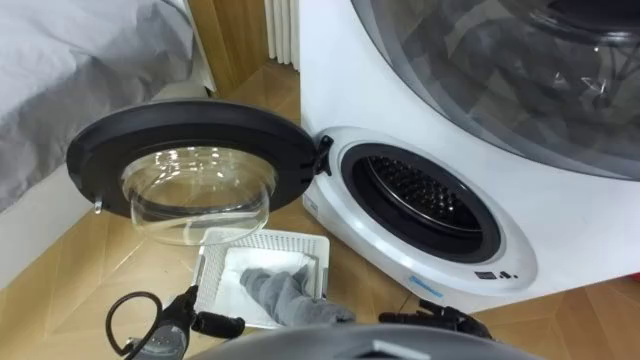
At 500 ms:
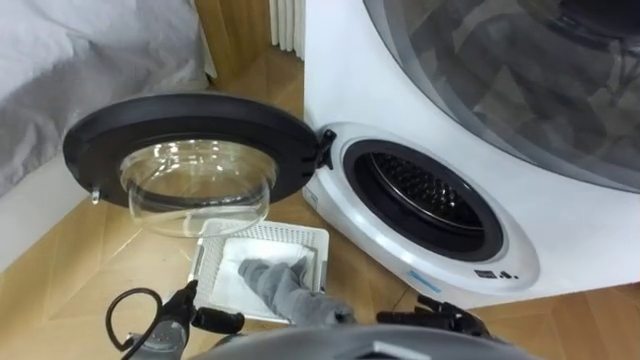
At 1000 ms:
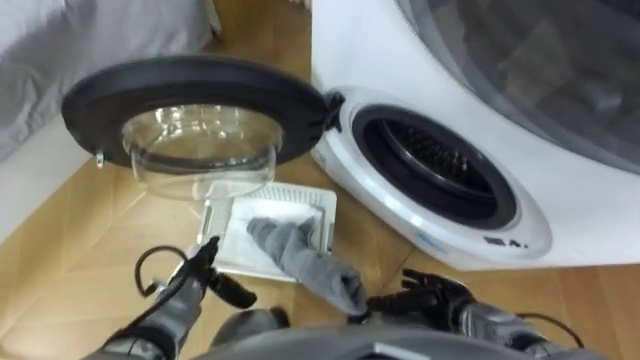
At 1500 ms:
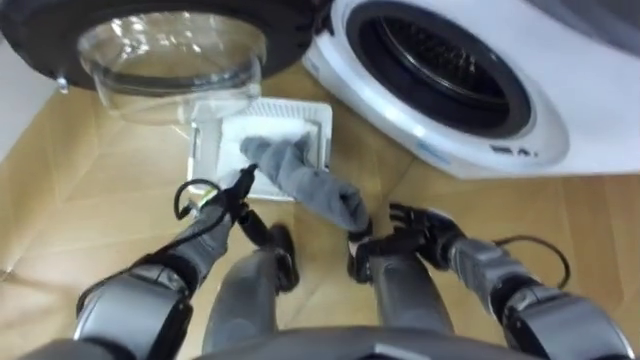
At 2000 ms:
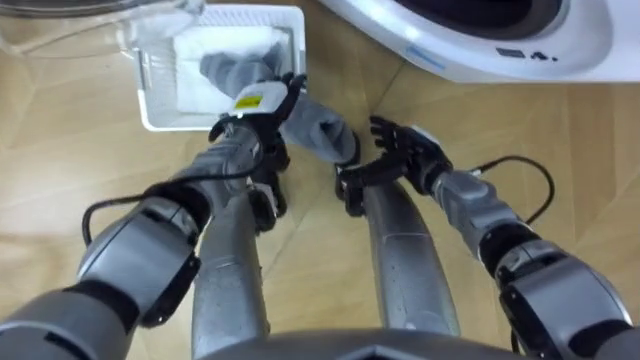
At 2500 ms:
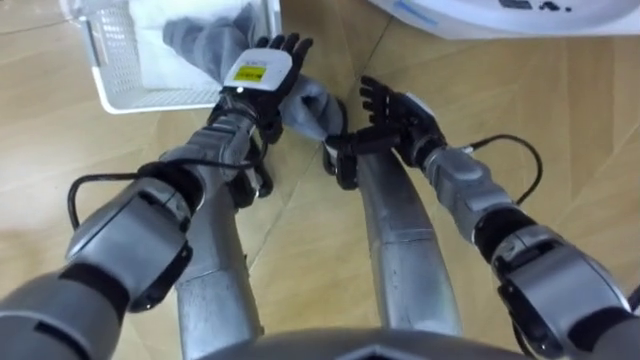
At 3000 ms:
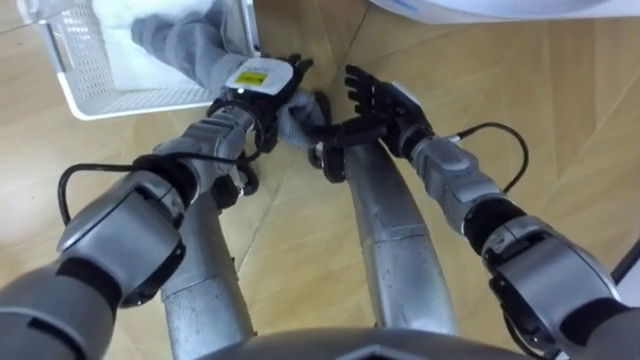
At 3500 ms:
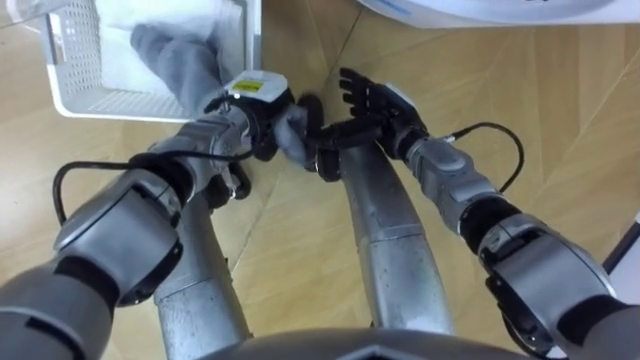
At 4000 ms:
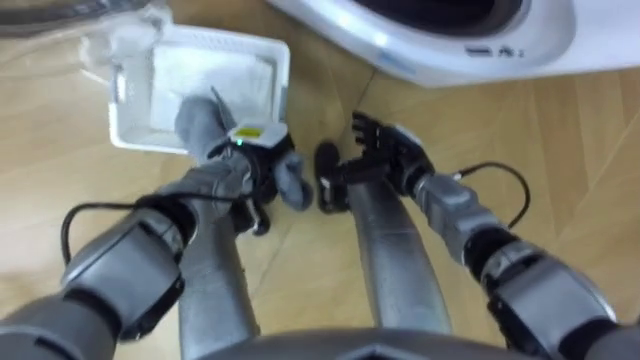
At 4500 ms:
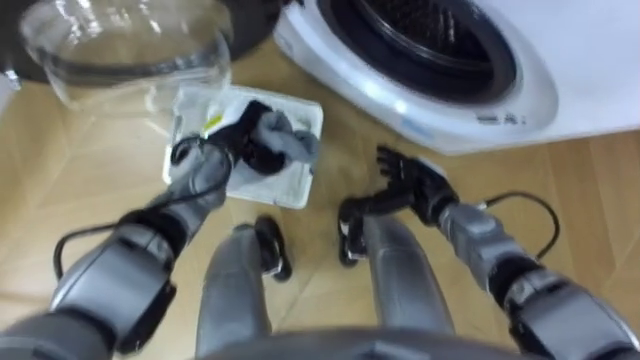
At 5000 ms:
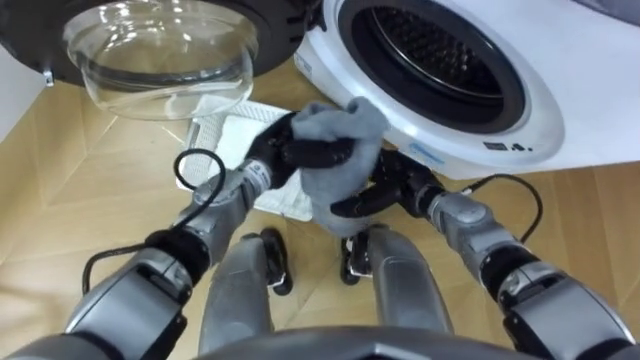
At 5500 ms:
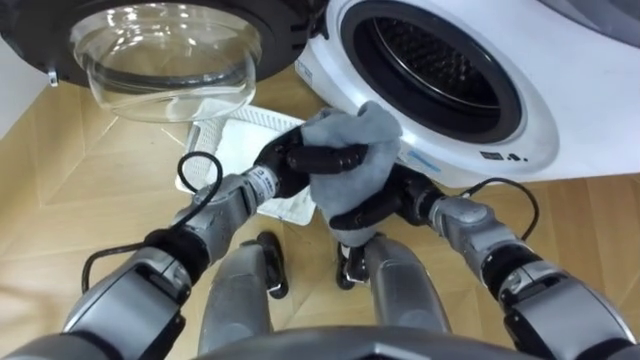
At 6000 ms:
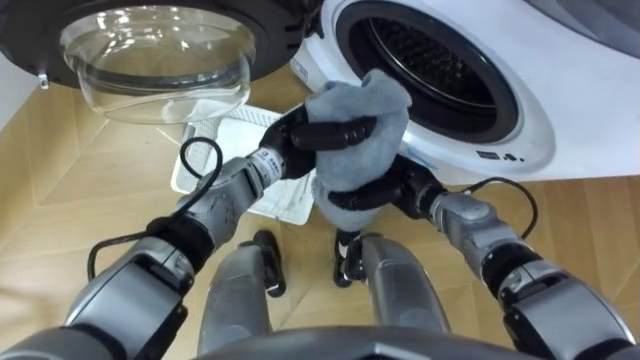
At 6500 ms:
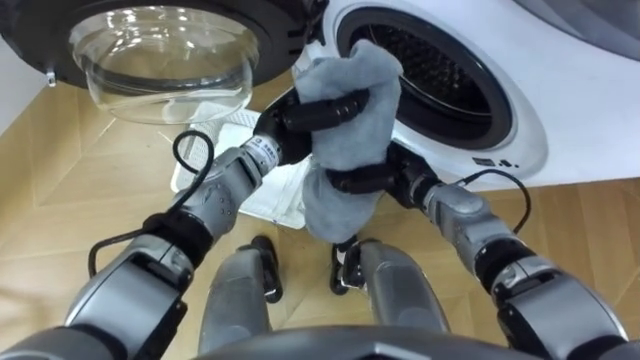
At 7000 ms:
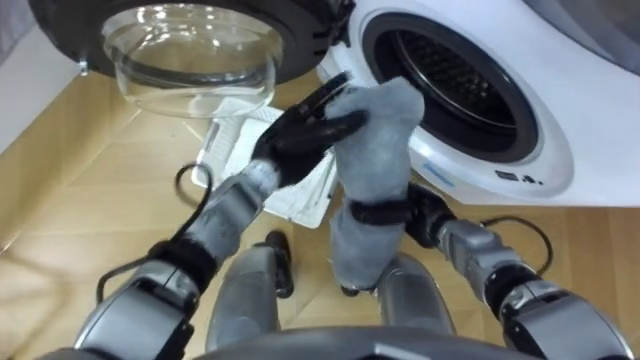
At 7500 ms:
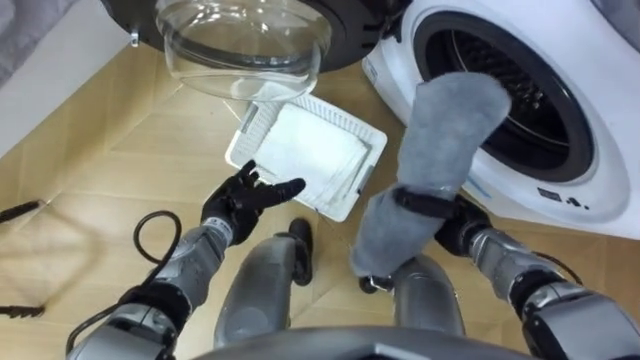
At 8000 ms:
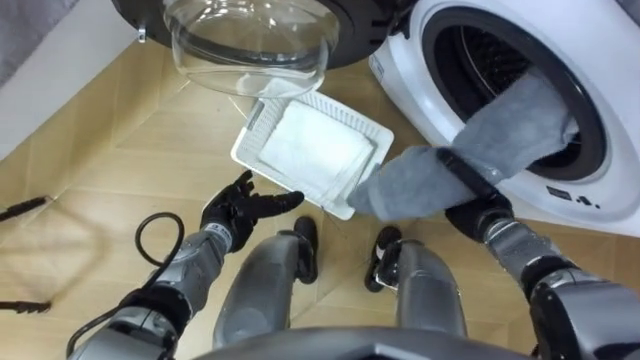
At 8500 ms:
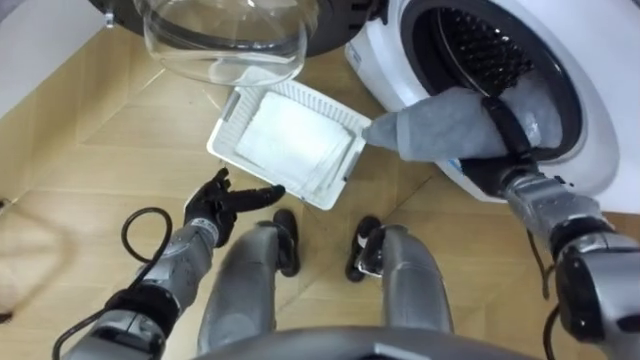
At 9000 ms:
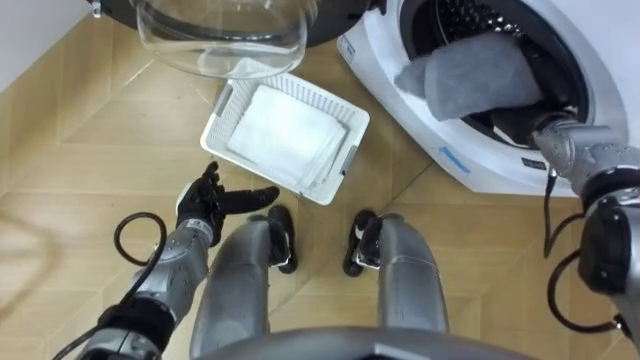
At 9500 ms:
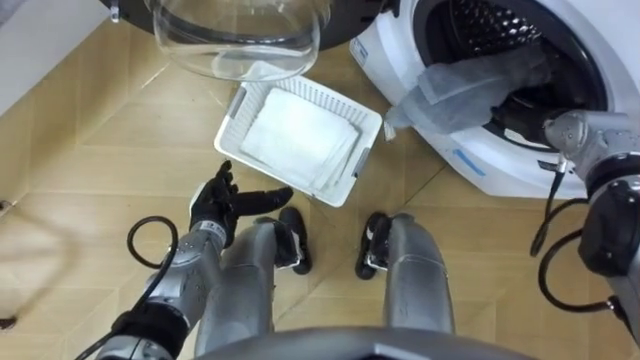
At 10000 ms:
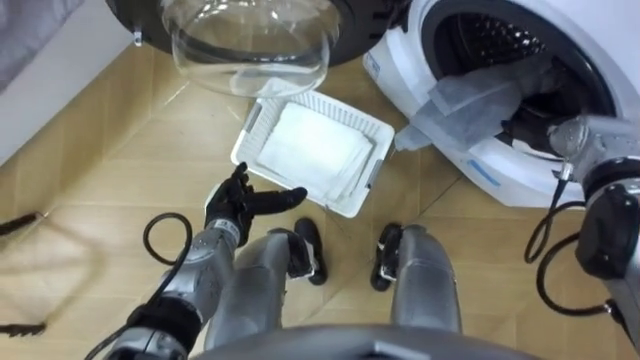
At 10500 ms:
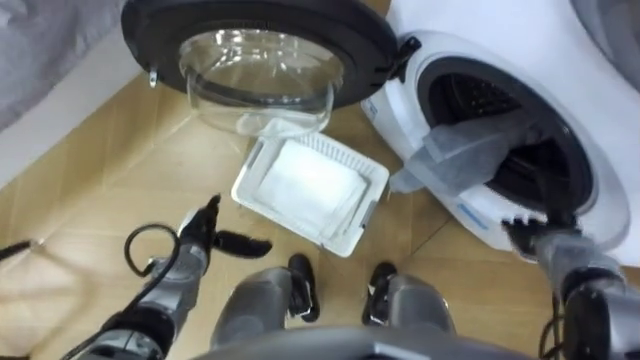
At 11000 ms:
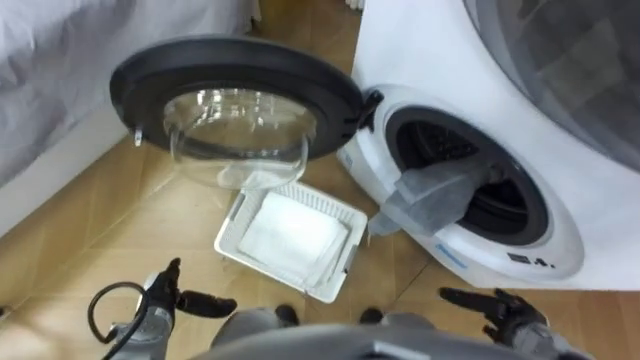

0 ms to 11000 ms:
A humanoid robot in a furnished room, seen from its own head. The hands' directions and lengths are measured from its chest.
Task of the whole recording: Take the towel from the basket and put it into the washing machine.
2000 ms to 3500 ms: The left hand closes its fingers; the right hand changes place by approximately 10 cm.
3500 ms to 5500 ms: The left hand moves backward and to the right, some 10 cm; the right hand heads backward and downward, covering about 10 cm.
5500 ms to 7500 ms: The left hand is displaced to the left and downward by approximately 15 cm, and opens up; the right hand travels to the right by about 10 cm, and closes up.
7500 ms to 9000 ms: The right hand is displaced forward, upward and to the right by about 20 cm, and opens up.
9000 ms to 11000 ms: The right hand heads backward and downward, covering approximately 30 cm. The left hand moves backward, downward and to the left, roughly 15 cm.

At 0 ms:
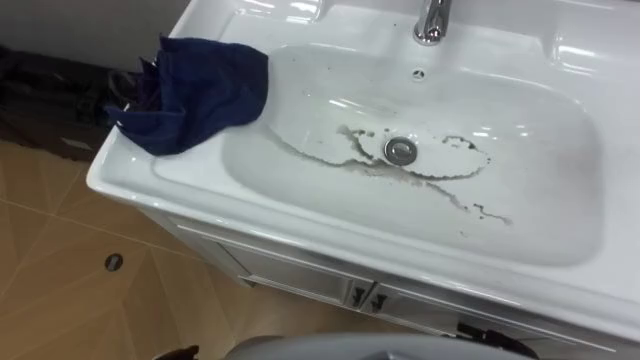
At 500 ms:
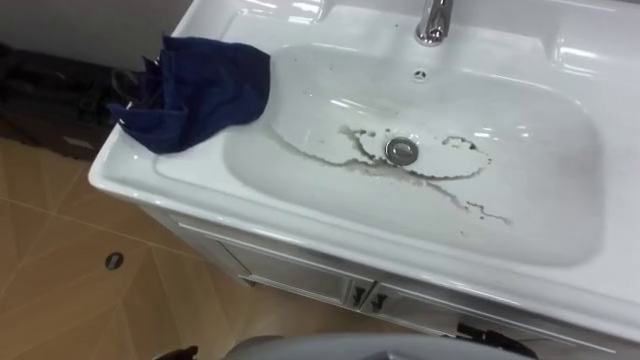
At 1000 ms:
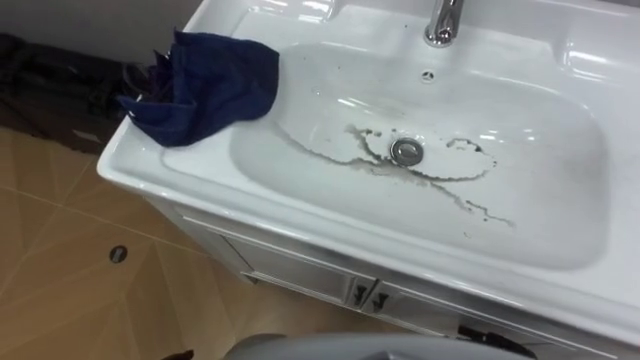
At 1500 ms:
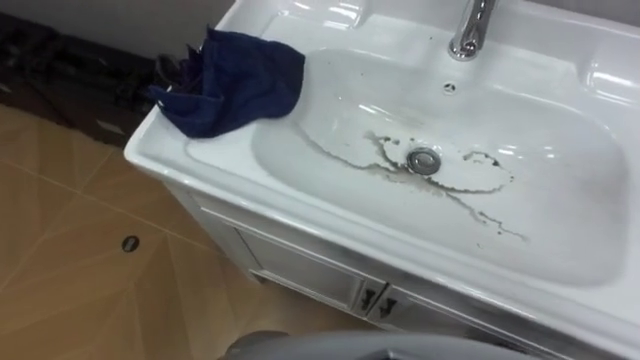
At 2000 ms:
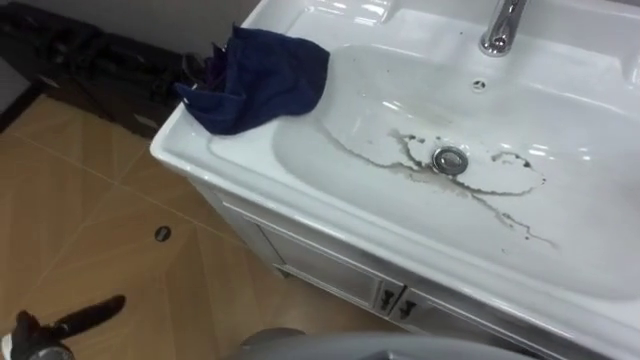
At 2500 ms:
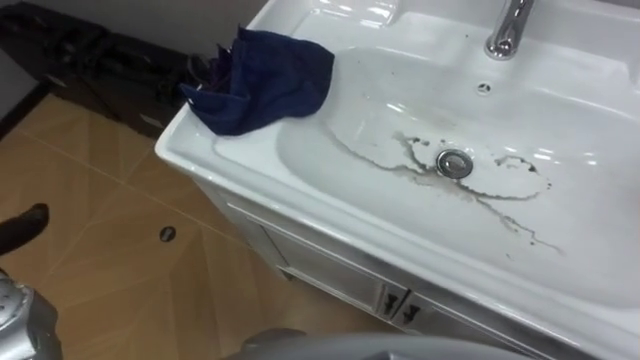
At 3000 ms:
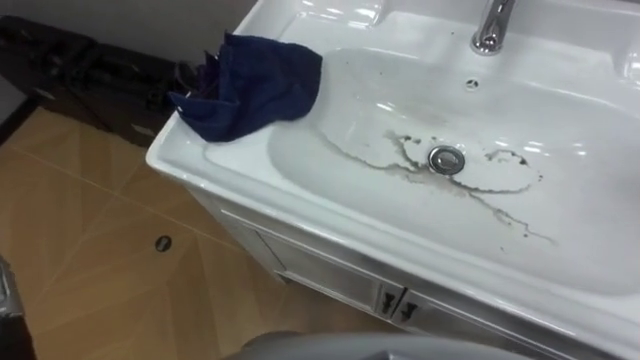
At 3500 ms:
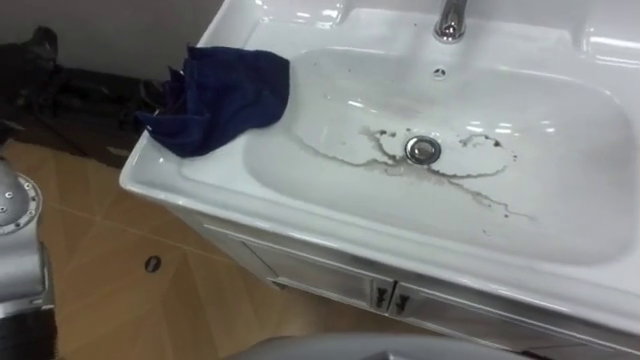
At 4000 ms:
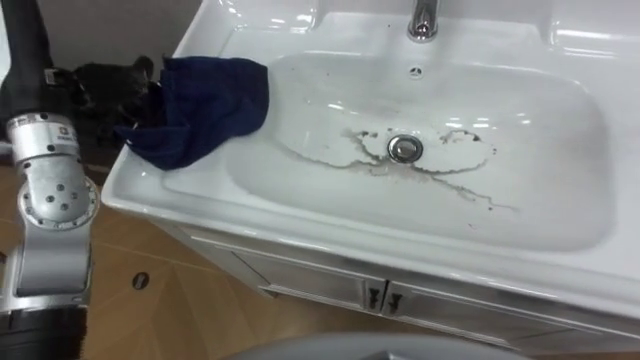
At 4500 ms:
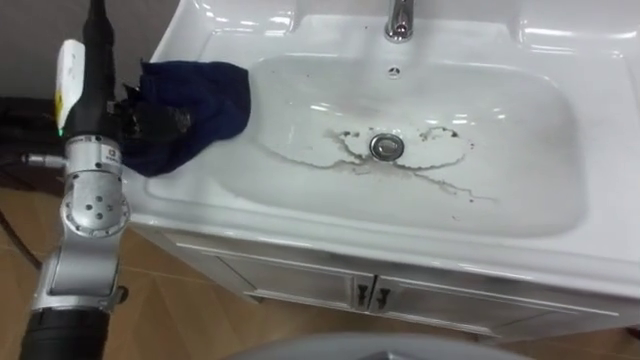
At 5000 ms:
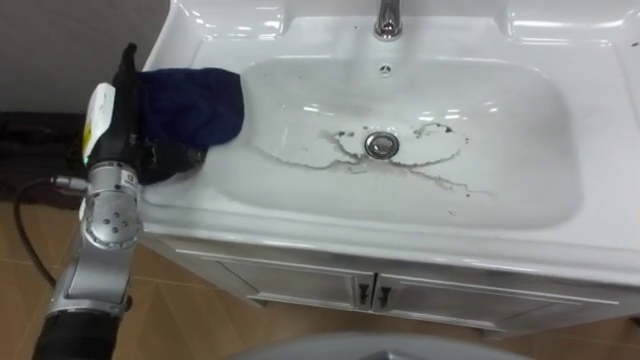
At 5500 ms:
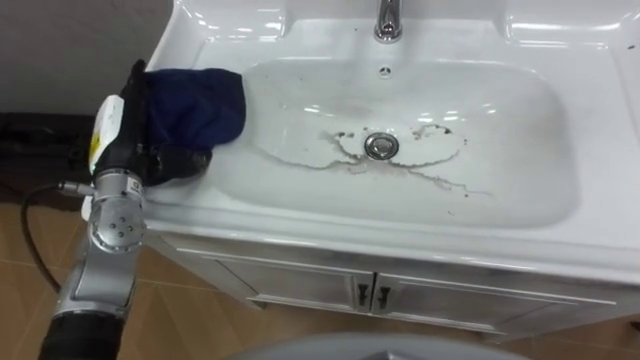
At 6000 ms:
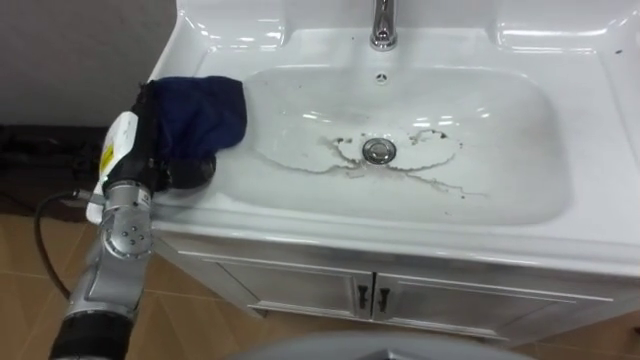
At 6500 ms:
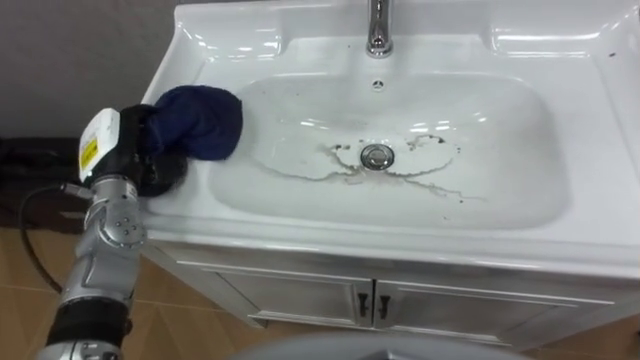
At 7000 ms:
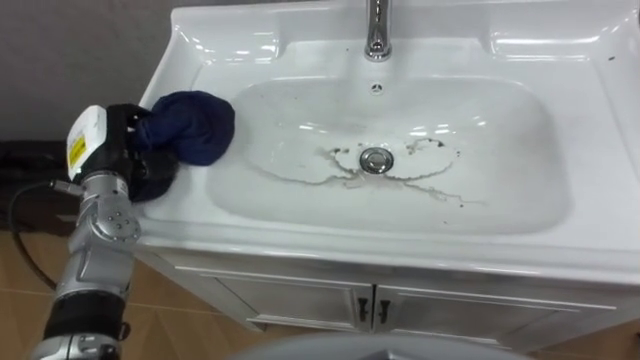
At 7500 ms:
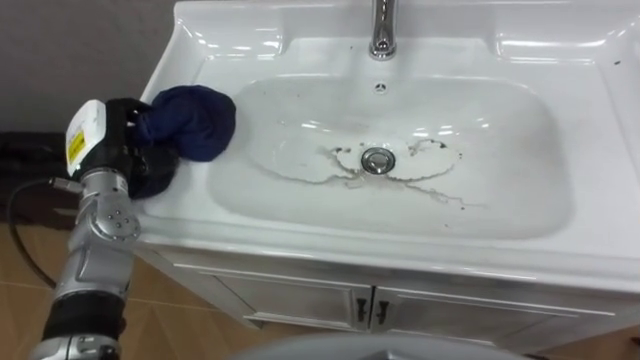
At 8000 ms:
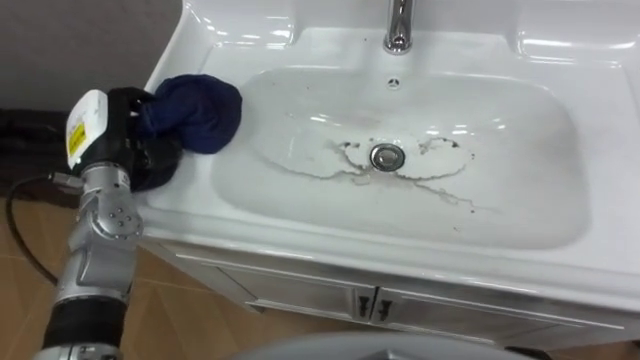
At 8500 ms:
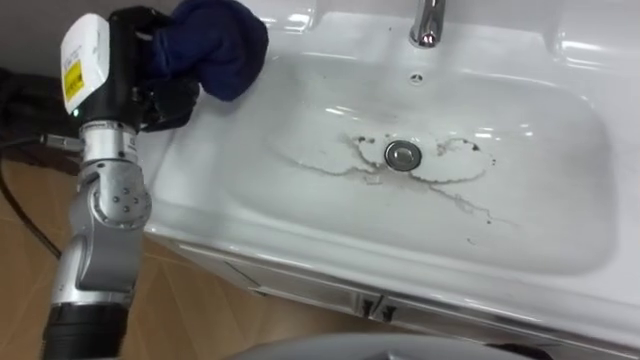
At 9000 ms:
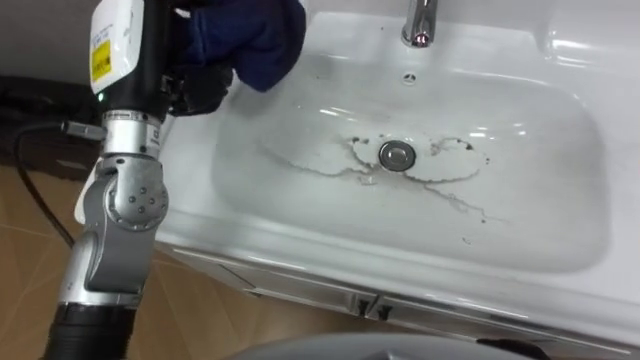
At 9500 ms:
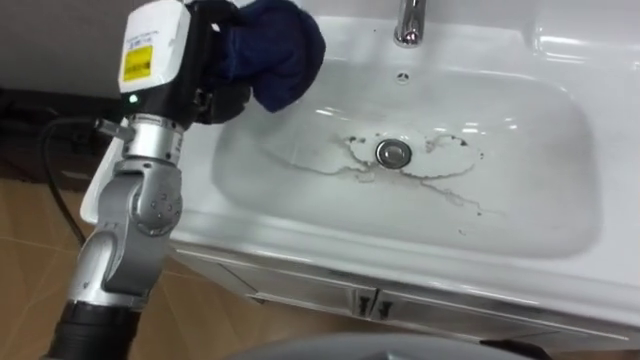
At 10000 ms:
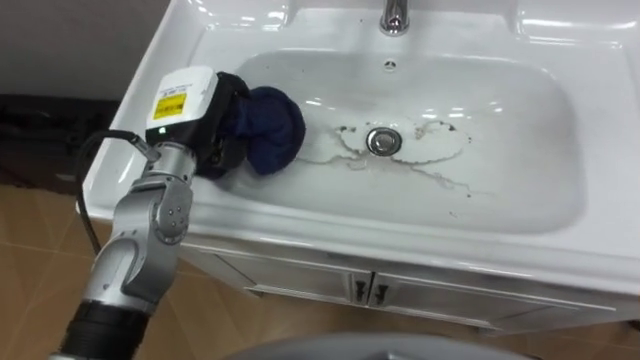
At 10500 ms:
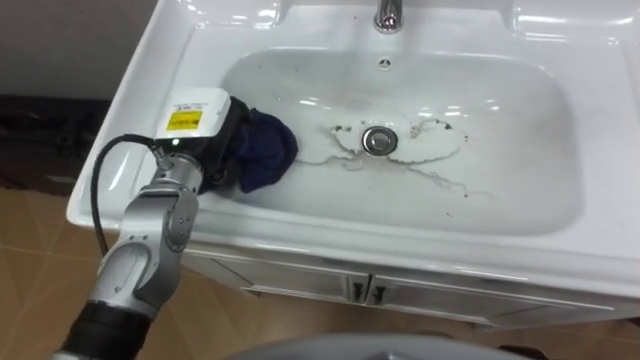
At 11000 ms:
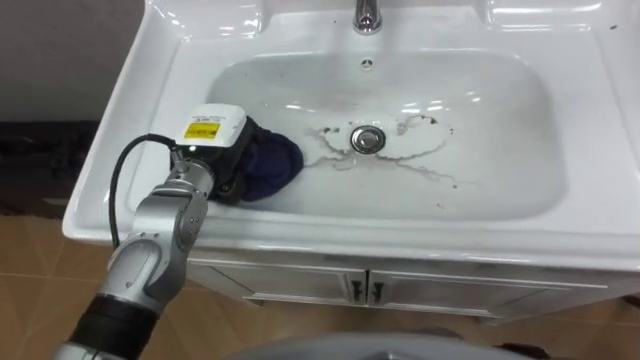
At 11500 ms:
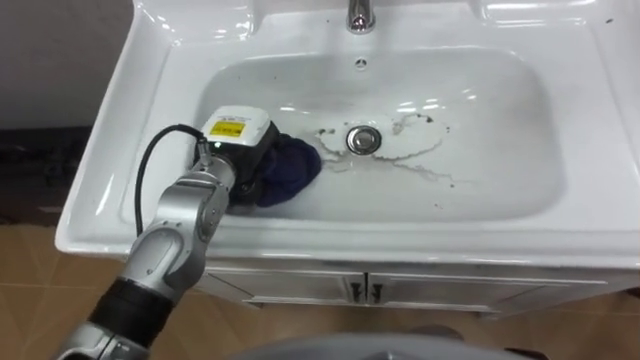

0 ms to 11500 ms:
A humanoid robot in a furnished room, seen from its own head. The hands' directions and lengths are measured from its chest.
Task of the whole recording: Use the cloth on the right to wipe away the black stain in the sink.
4000 ms to 6000 ms: The left hand is displaced downward by approximately 15 cm.
6000 ms to 7500 ms: The left hand closes up.
7500 ms to 9500 ms: The left hand heads upward and to the right, covering some 20 cm.
9500 ms to 11500 ms: The left hand moves downward, some 15 cm.
